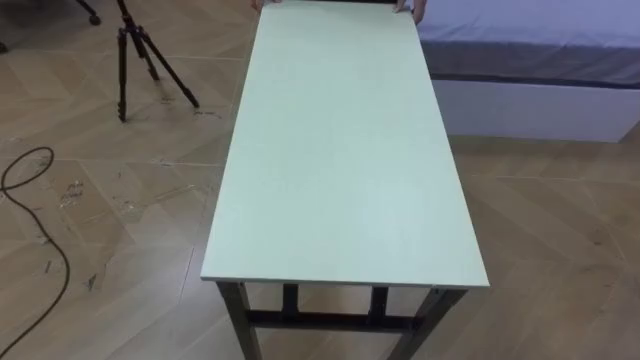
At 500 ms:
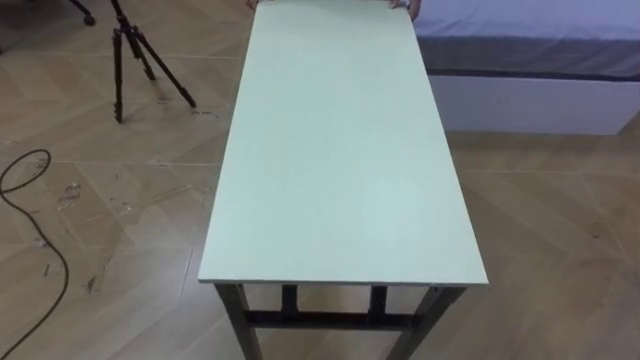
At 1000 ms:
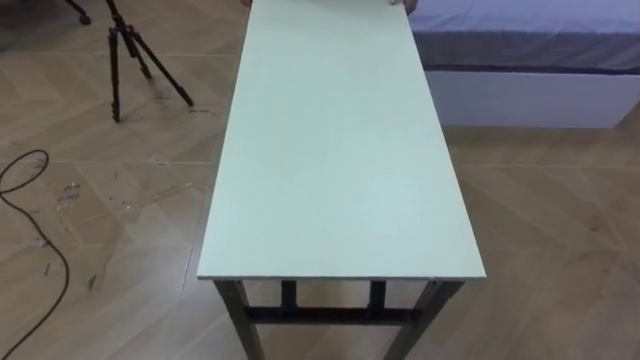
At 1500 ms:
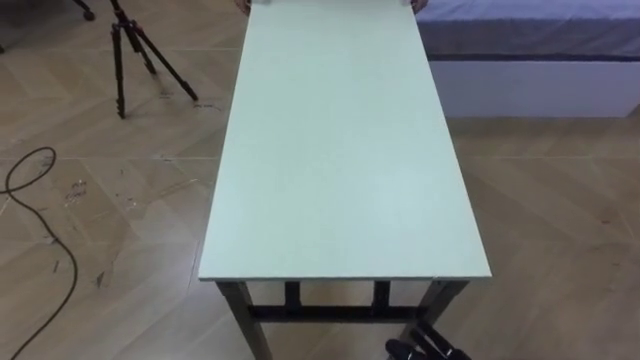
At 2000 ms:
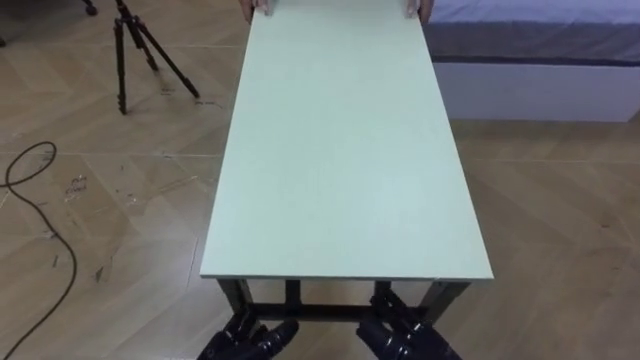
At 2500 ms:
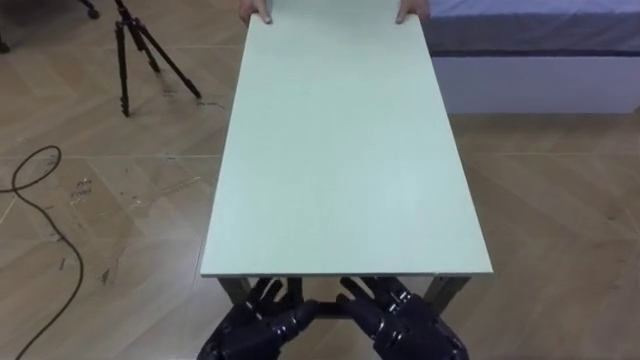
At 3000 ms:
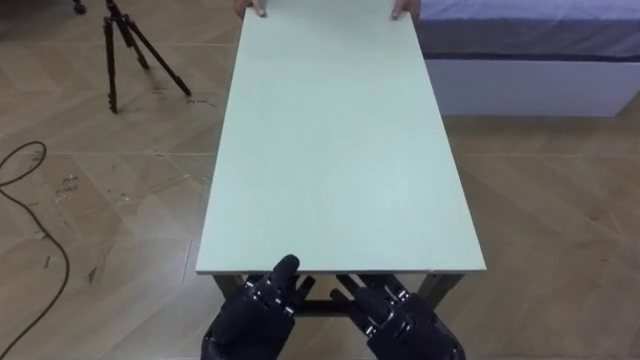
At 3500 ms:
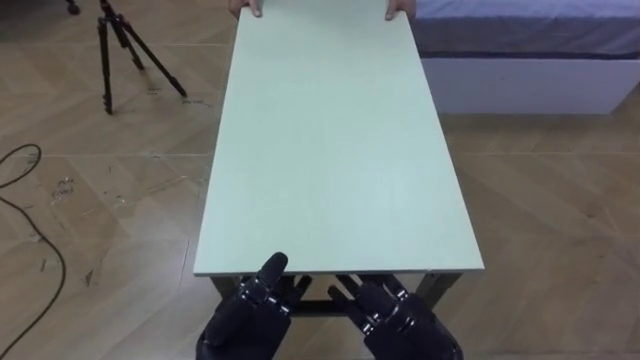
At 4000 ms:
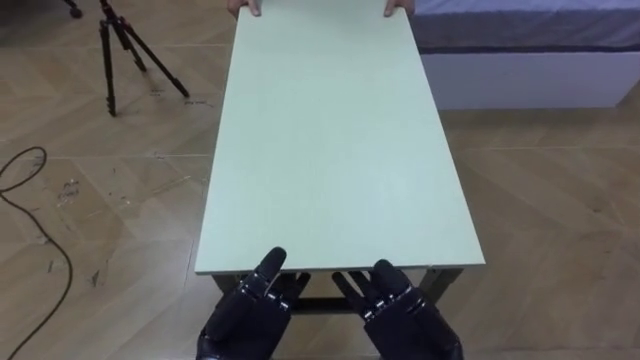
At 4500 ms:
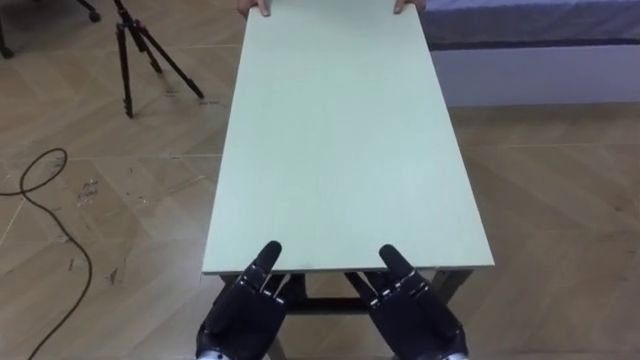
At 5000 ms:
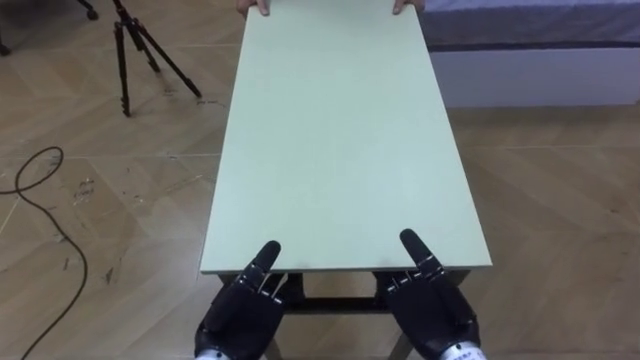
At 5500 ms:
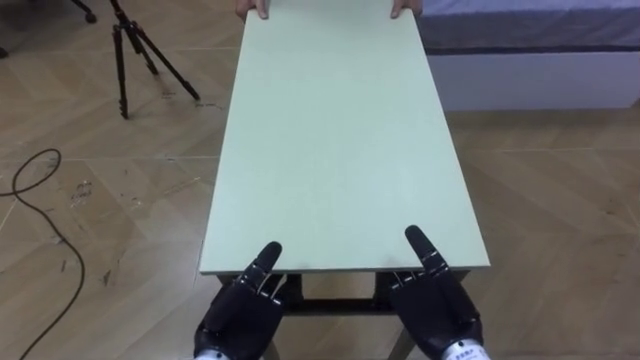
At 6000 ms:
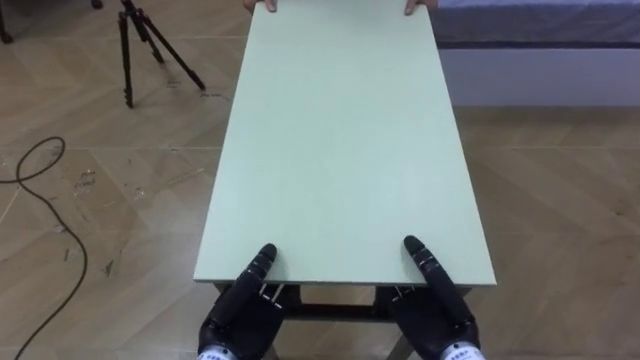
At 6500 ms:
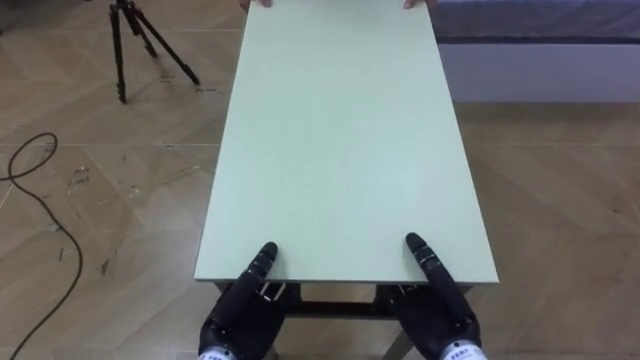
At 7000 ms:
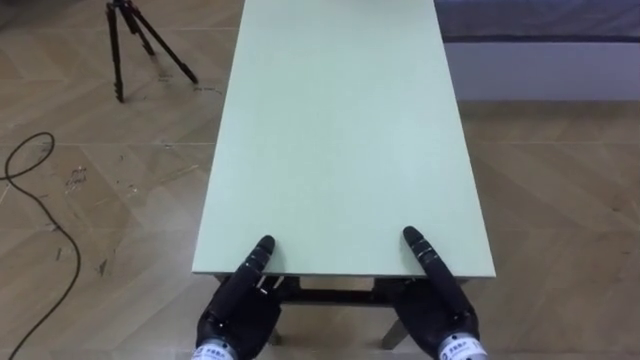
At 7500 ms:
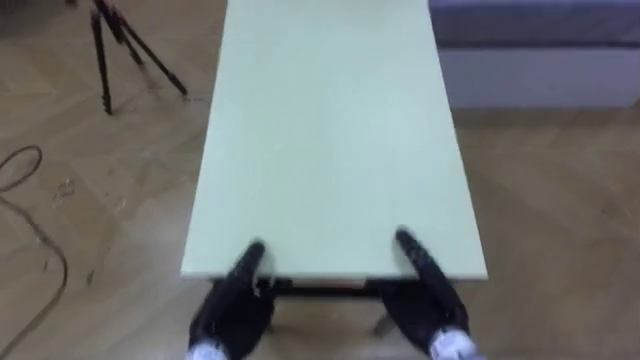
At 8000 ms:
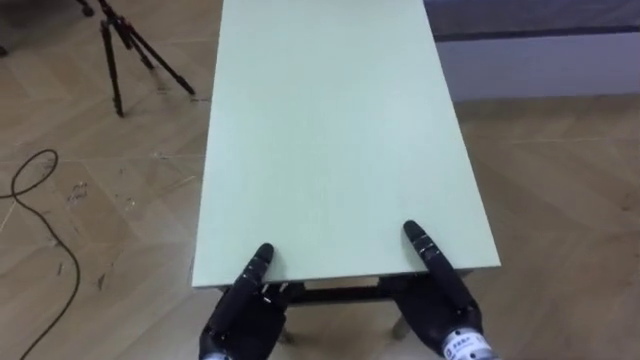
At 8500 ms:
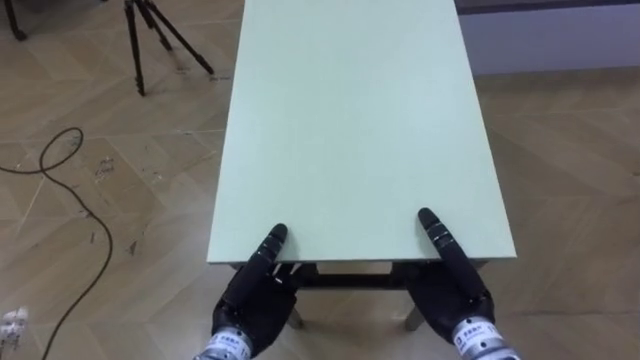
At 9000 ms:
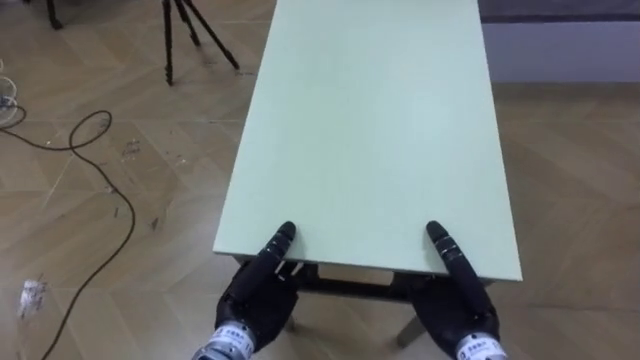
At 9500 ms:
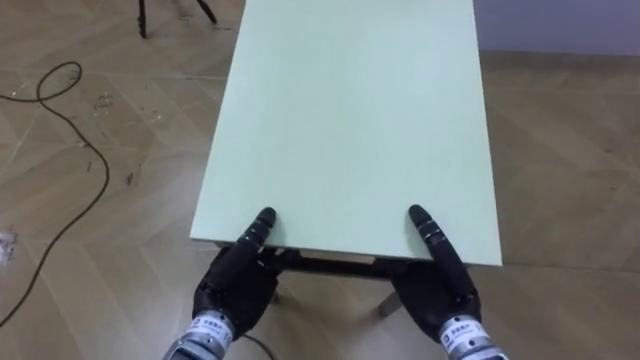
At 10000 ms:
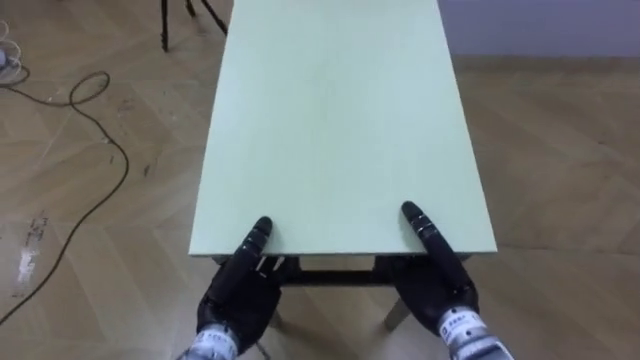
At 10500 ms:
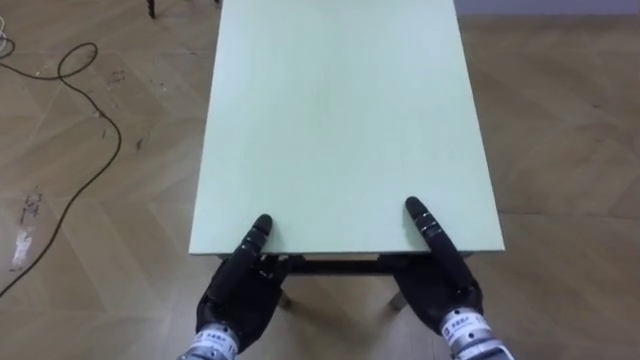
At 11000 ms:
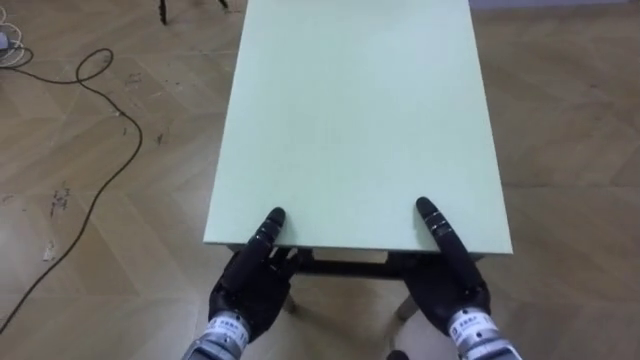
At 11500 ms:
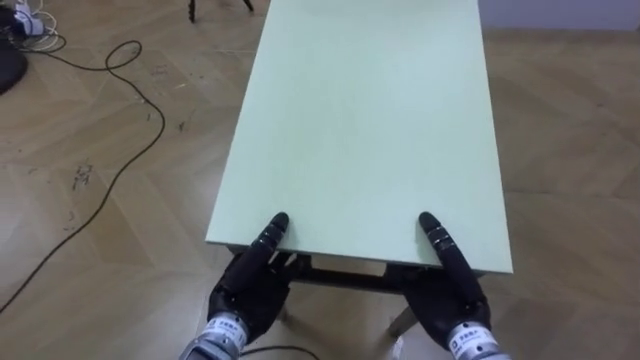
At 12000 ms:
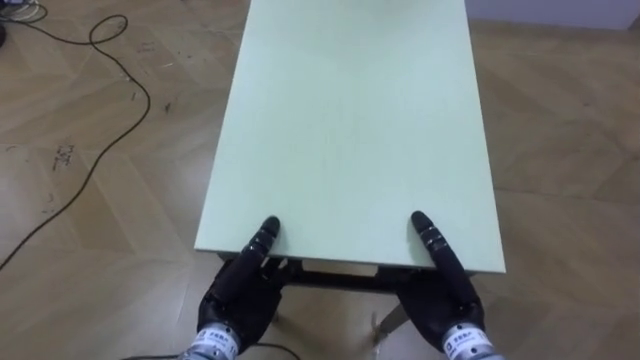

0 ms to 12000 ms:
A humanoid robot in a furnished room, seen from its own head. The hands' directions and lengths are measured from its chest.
Task of the whole recording: Move the table to the back left with someone.
4000 ms to 6000 ms: The right hand closes up. Meanwhile the left hand closes.

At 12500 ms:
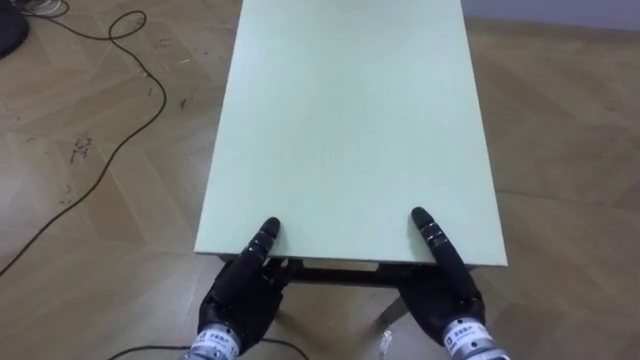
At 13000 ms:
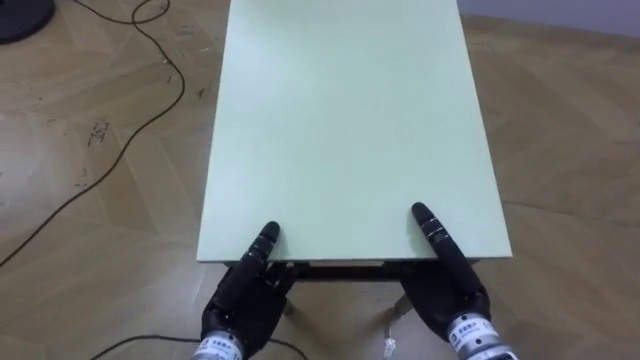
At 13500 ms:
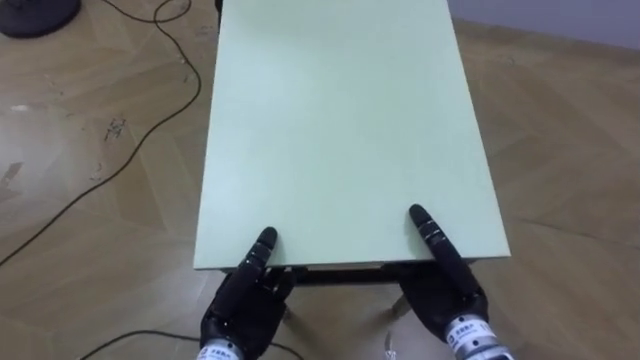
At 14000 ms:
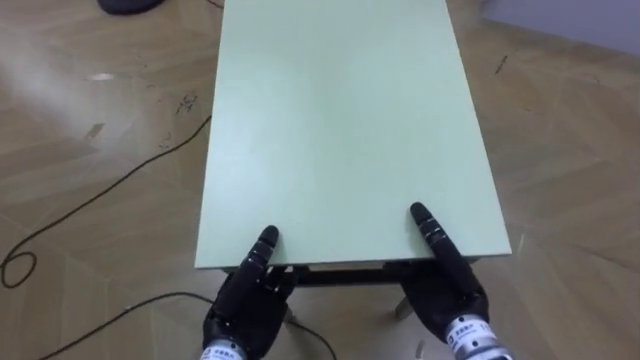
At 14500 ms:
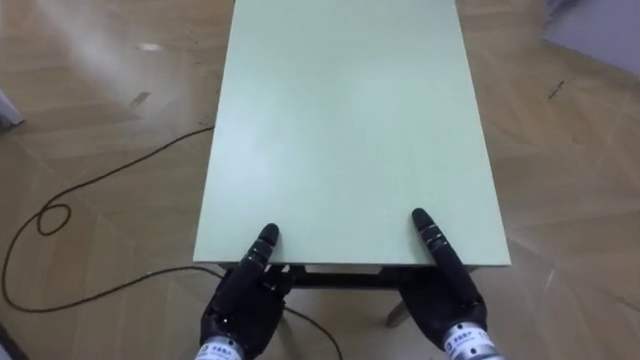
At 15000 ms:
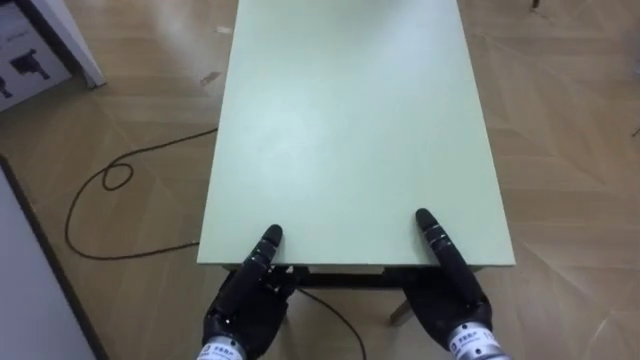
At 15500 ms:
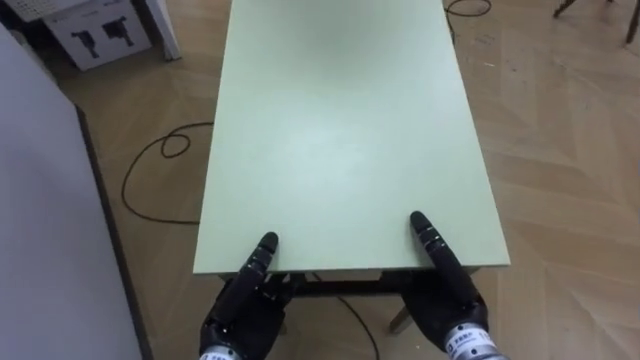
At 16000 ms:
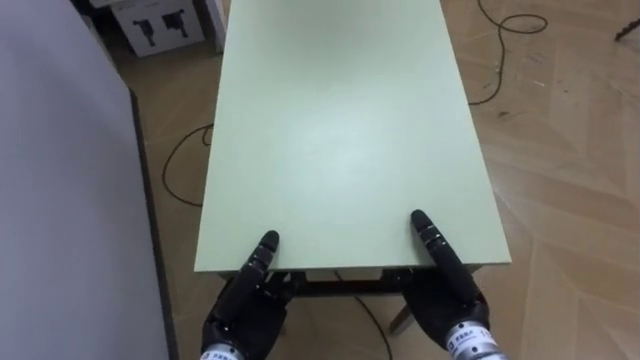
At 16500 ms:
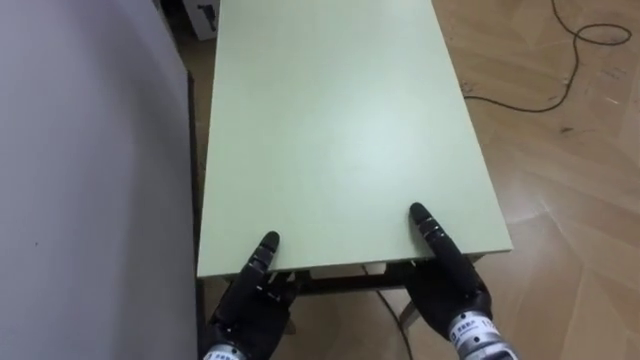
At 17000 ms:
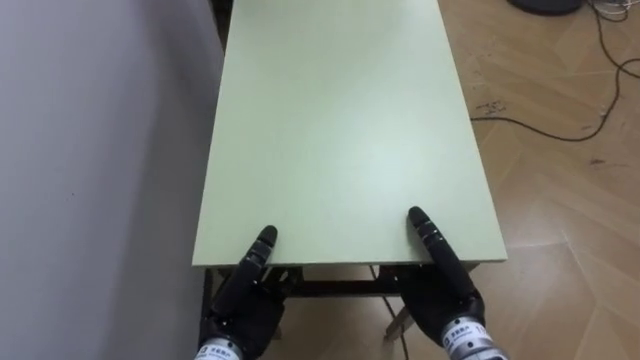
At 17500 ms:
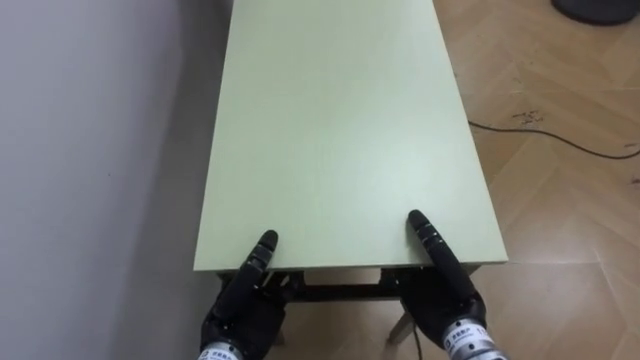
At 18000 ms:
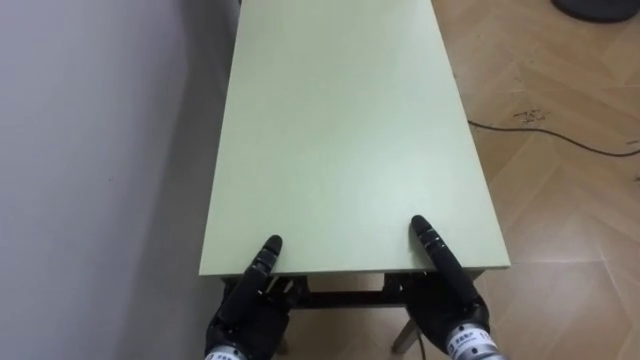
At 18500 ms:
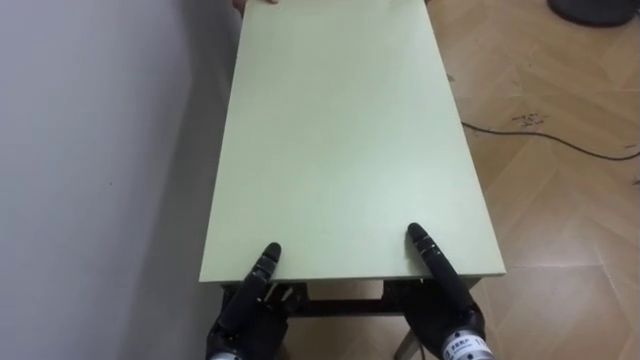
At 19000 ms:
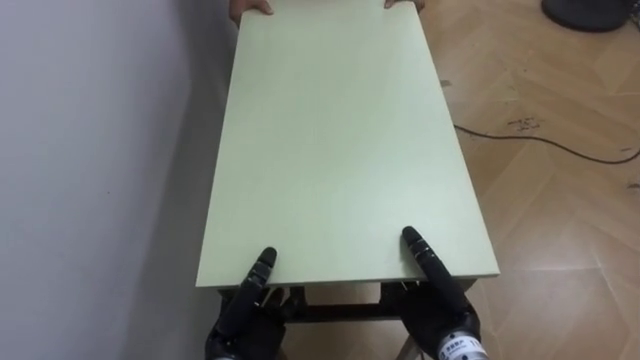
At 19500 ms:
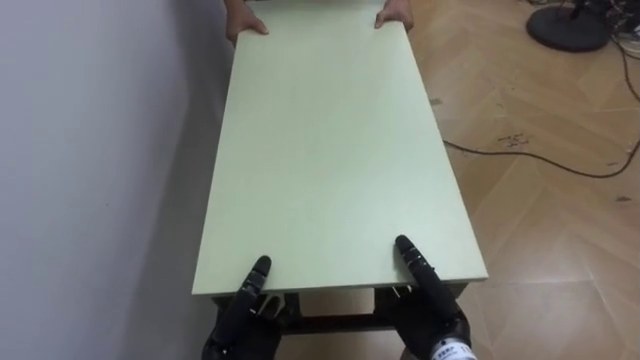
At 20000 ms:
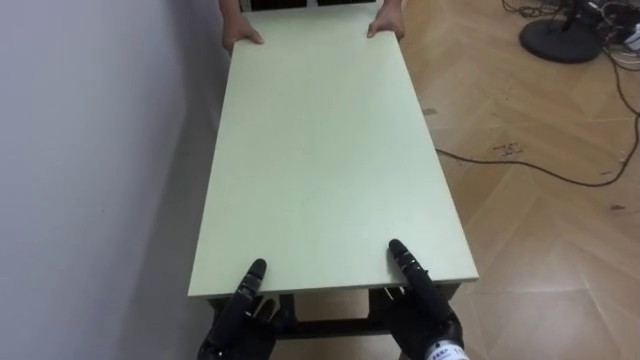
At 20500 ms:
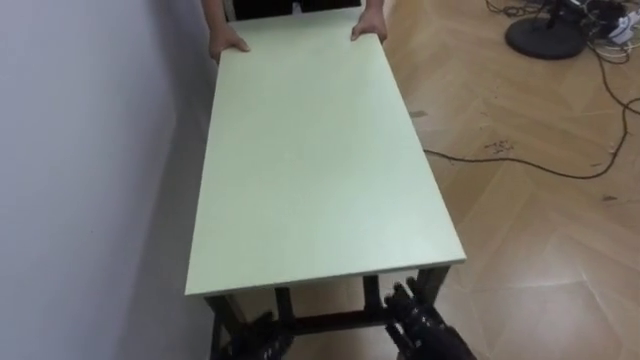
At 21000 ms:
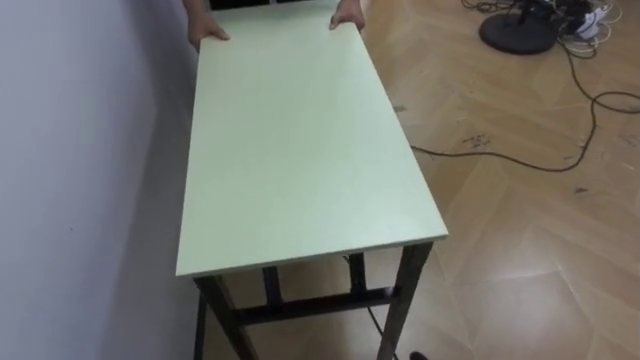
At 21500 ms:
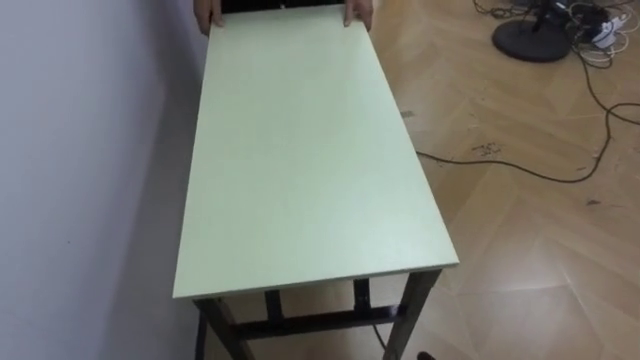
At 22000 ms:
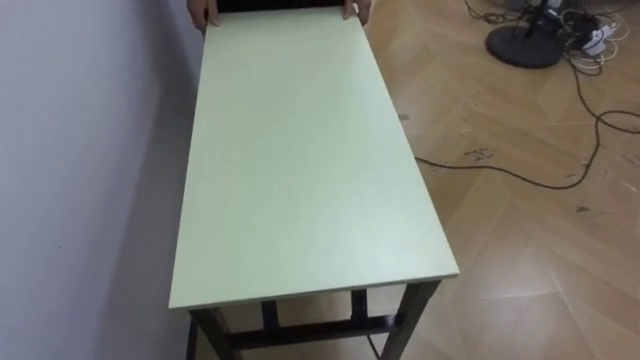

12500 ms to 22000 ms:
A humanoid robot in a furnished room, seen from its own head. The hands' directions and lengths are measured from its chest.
Task of the whole recording: Move the table to the back left with someone.
12500 ms to 14500 ms: The robot turns to its left by about 35 degrees.
14500 ms to 16500 ms: The robot turns to its left by about 35 degrees.
18000 ms to 20000 ms: Both hands travel together downward, roughly 5 cm.
